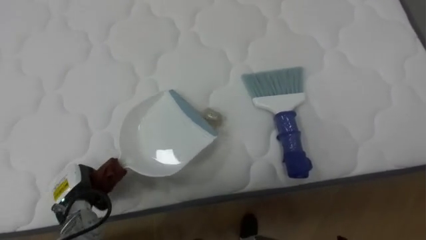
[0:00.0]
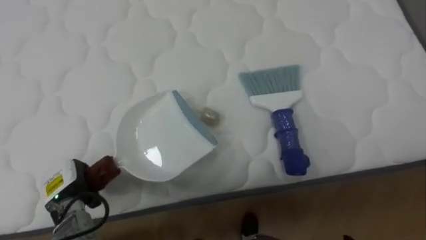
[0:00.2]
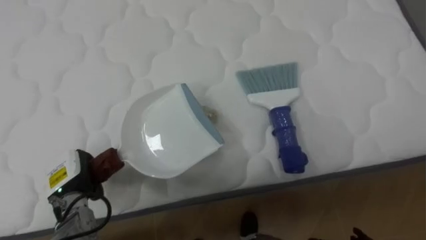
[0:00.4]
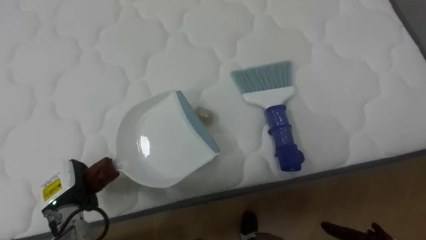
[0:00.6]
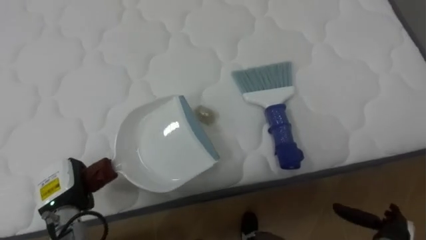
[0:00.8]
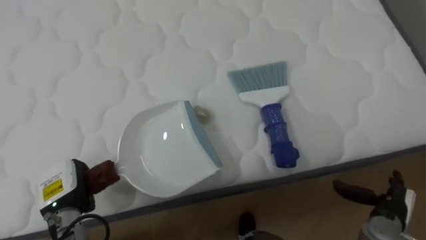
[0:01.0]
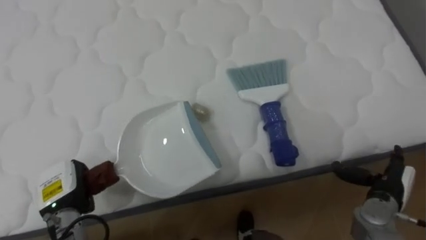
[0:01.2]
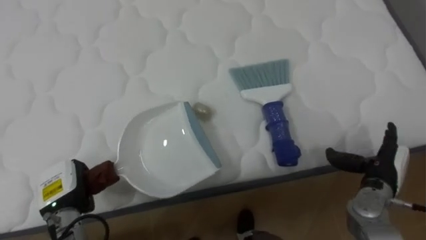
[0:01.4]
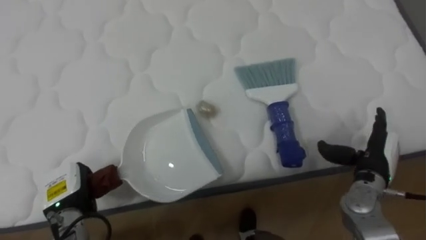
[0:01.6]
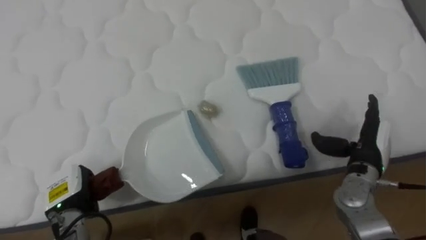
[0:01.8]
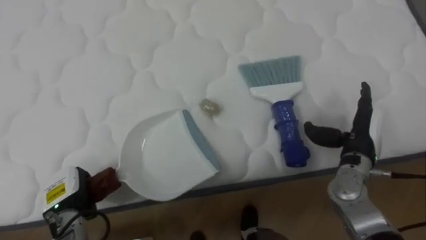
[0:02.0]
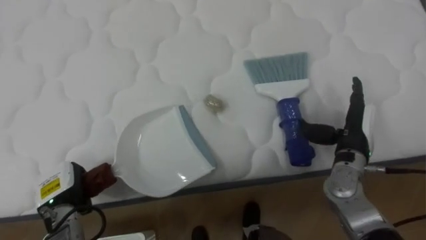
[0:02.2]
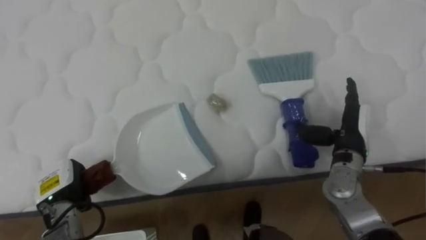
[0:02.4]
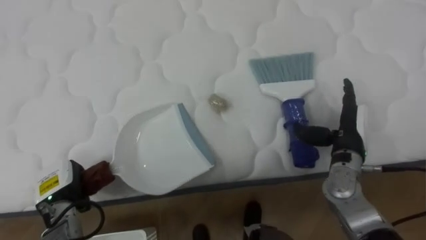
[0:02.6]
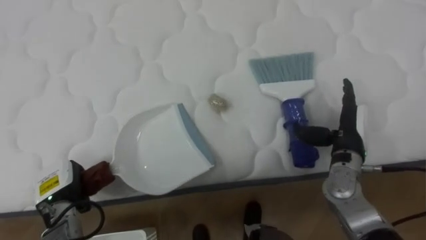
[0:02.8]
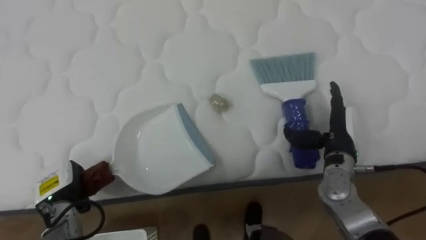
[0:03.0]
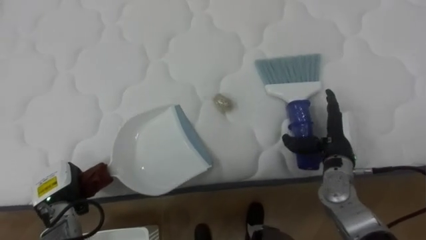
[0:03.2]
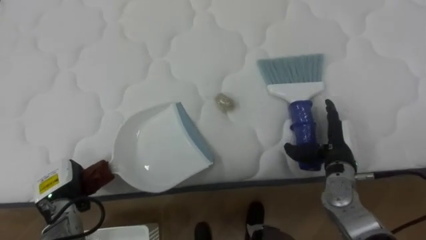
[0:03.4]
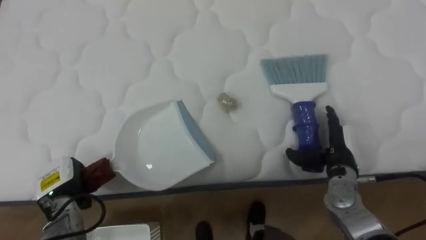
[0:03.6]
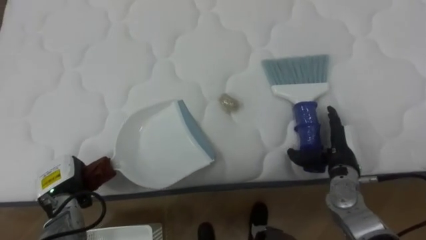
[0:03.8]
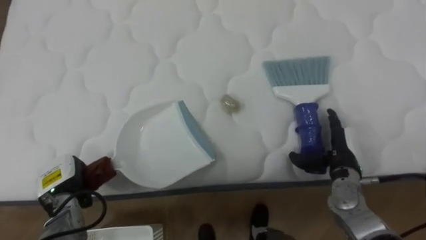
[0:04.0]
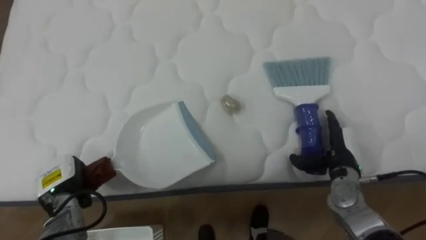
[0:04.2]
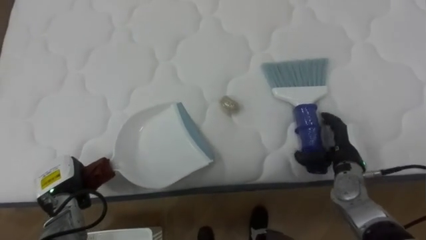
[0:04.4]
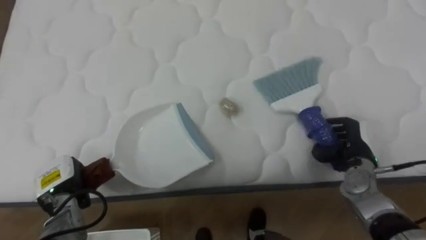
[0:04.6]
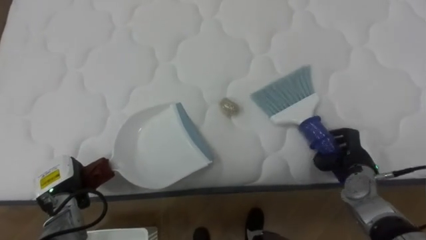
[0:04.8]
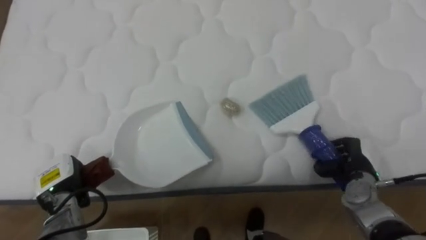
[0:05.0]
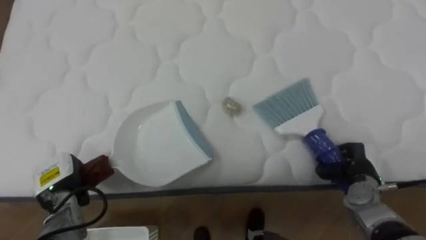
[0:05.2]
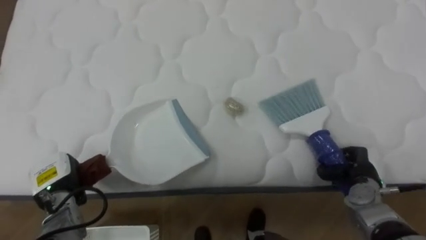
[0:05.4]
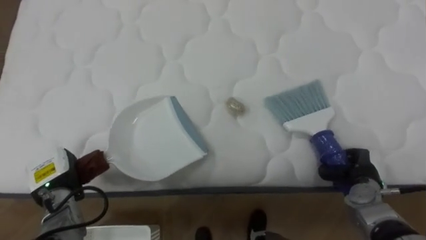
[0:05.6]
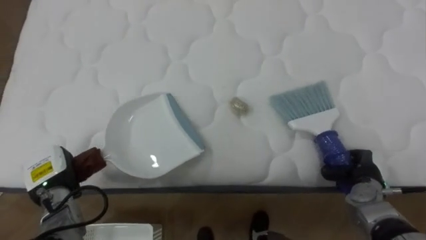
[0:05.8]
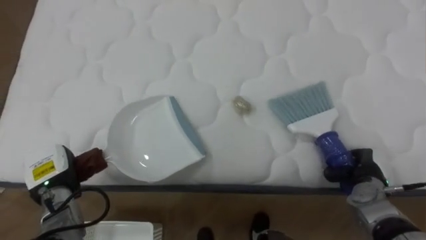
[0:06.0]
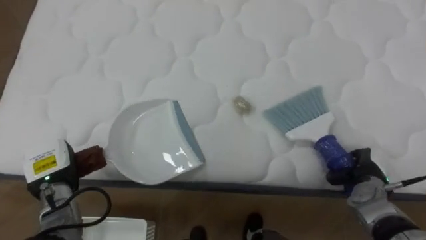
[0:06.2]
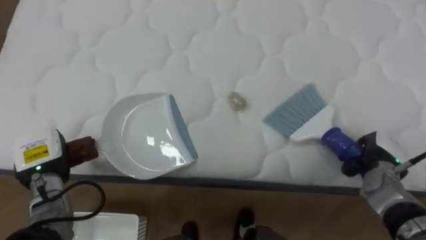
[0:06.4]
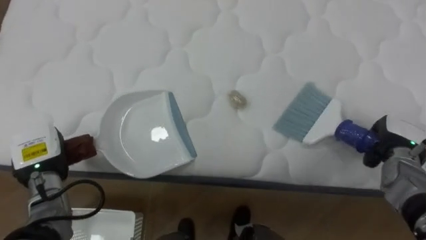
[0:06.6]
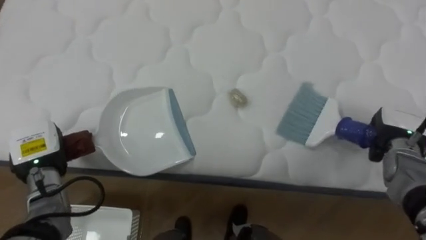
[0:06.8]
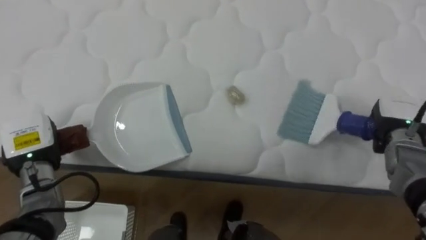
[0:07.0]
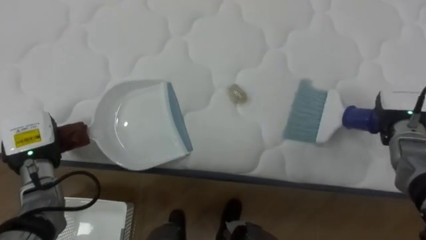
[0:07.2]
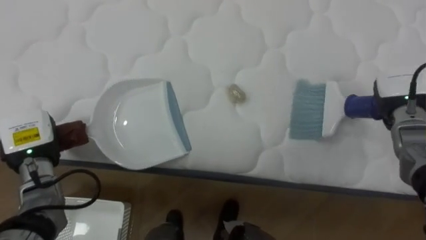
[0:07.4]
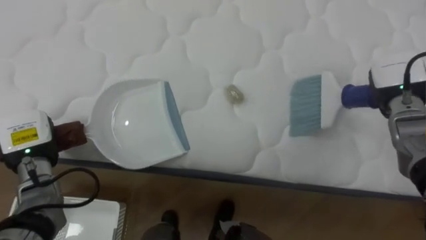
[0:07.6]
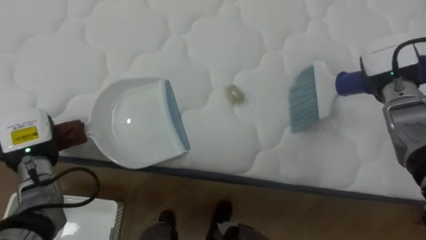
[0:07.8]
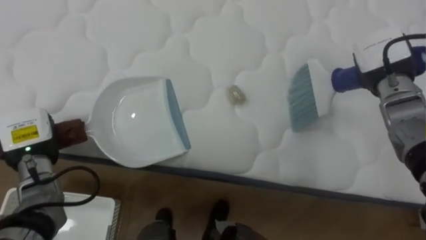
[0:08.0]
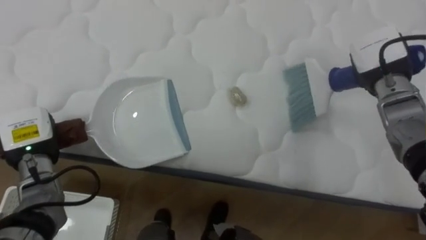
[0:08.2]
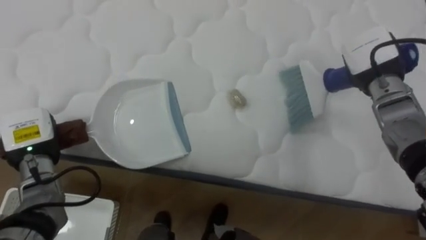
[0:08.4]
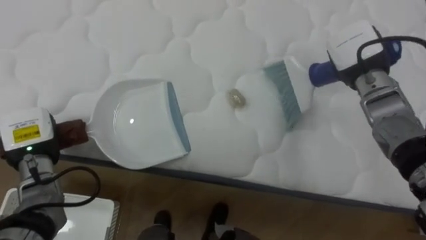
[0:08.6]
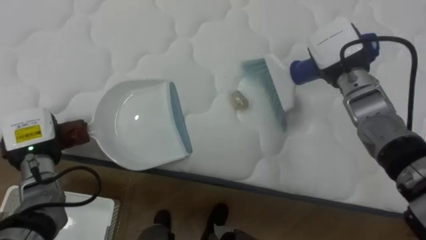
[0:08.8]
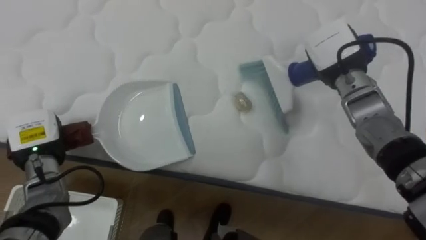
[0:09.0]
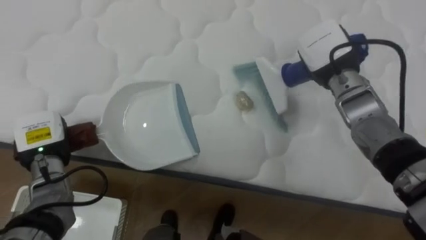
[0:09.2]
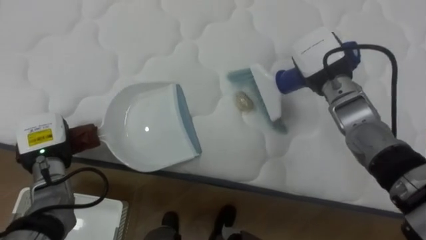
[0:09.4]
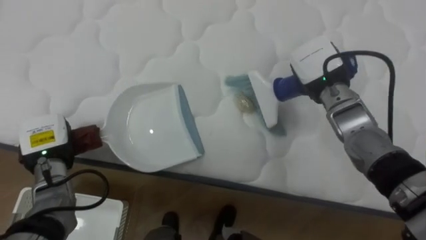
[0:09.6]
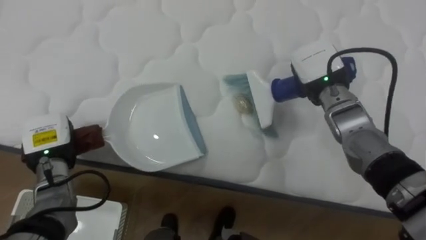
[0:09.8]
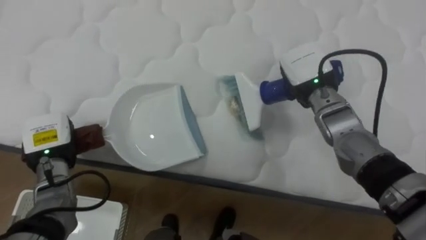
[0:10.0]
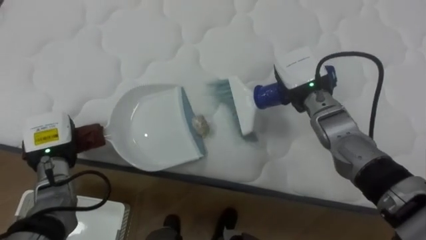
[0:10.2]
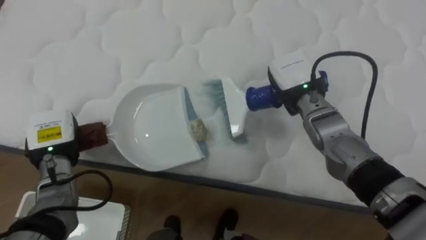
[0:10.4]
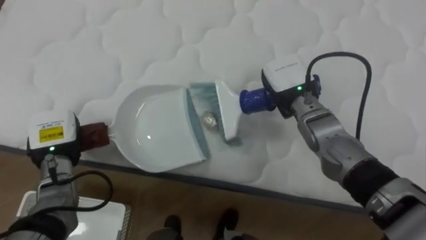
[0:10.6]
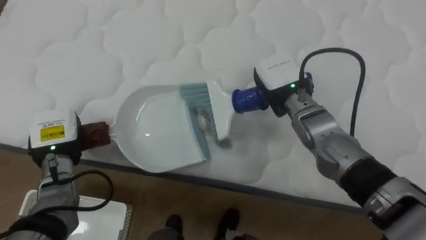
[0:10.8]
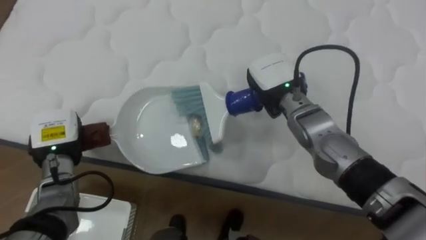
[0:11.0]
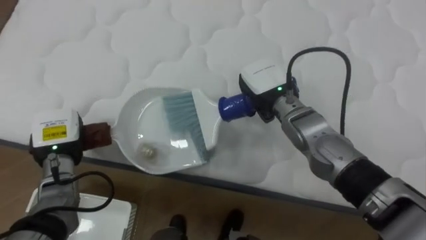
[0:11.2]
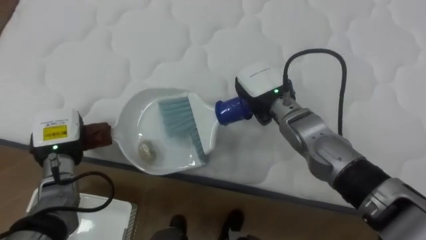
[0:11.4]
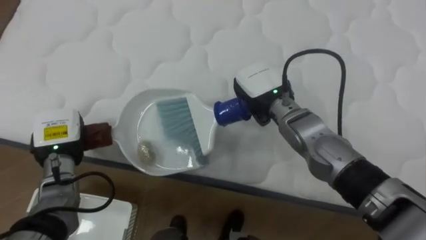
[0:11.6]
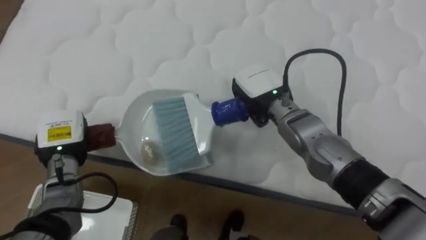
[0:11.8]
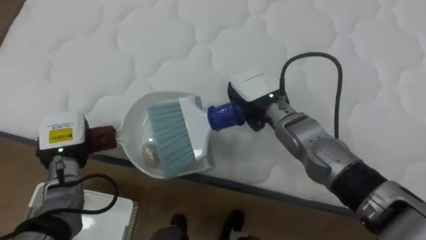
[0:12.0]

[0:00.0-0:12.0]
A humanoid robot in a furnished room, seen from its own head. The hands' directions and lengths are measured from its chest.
Task of the whole recording: Pick up the brush on your right and the dustpan on your left. Use the brush to sweep the crumpled paper on the bed into the dustpan, then turn left and empty it into the basket.
0:01.6 to 0:03.0: The right hand heads to the left, covering roughly 5 cm.
0:03.0 to 0:04.4: The right hand travels downward by roughly 5 cm.
0:04.4 to 0:06.0: The right hand moves to the right, about 5 cm, and closes.
0:06.0 to 0:07.6: The right hand goes some 20 cm upward and forward. Meanwhile the left hand heads upward, covering roughly 5 cm.
0:07.6 to 0:09.0: The right hand shifts approximately 10 cm to the left.
0:09.0 to 0:10.4: The right hand is displaced to the left by some 5 cm.
0:10.4 to 0:12.0: The right hand travels to the left by roughly 5 cm.

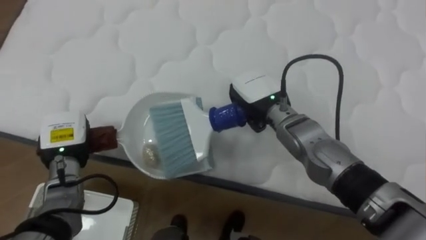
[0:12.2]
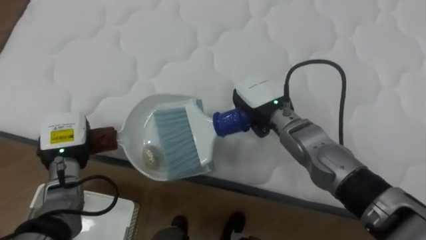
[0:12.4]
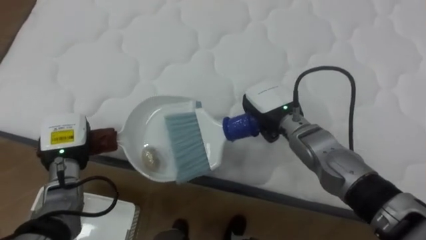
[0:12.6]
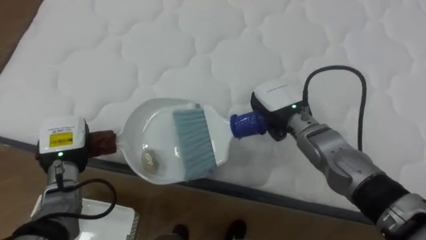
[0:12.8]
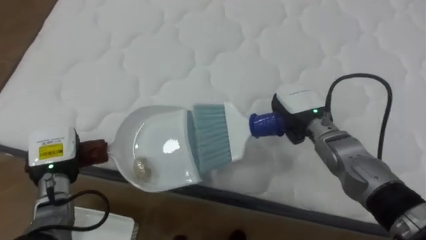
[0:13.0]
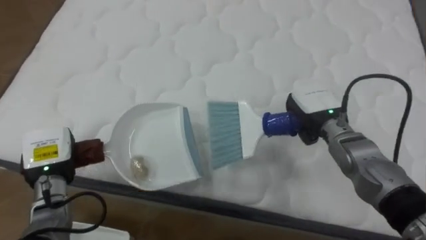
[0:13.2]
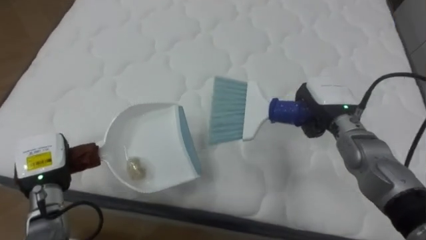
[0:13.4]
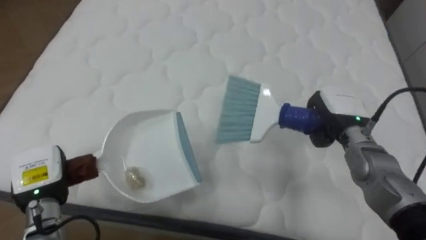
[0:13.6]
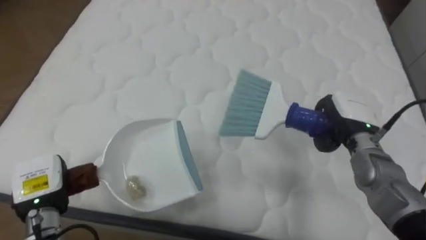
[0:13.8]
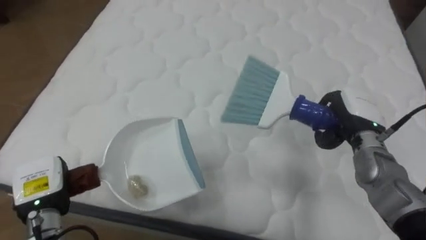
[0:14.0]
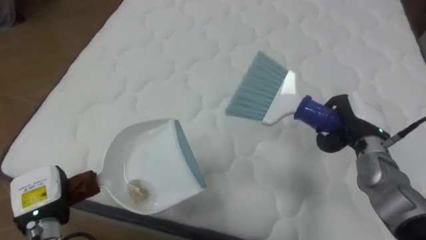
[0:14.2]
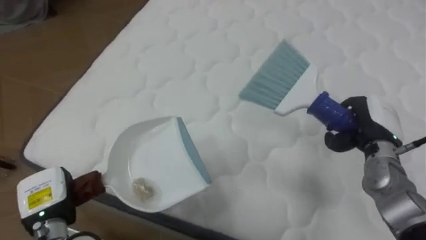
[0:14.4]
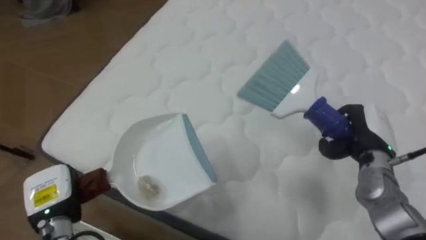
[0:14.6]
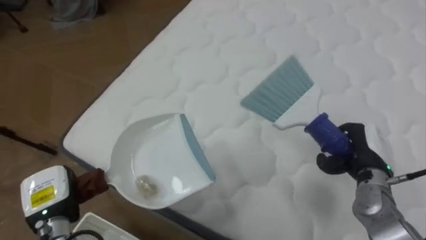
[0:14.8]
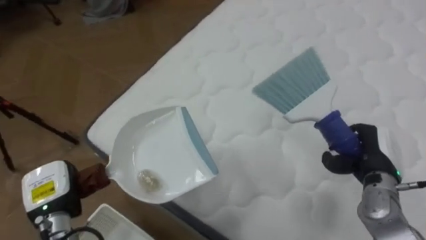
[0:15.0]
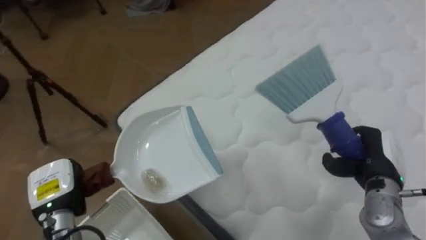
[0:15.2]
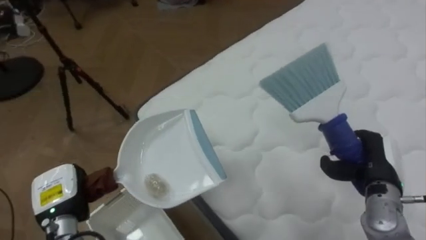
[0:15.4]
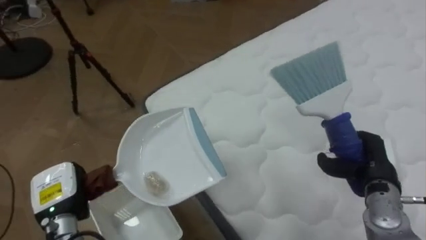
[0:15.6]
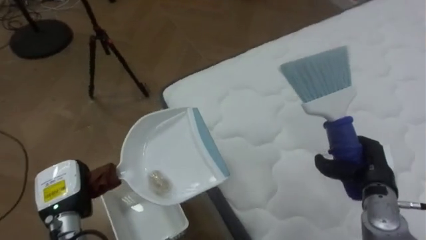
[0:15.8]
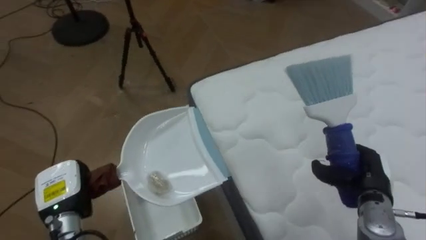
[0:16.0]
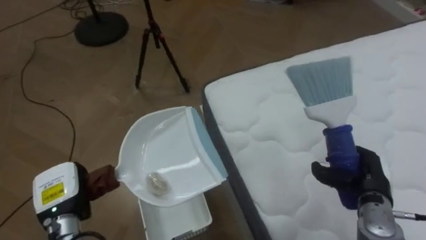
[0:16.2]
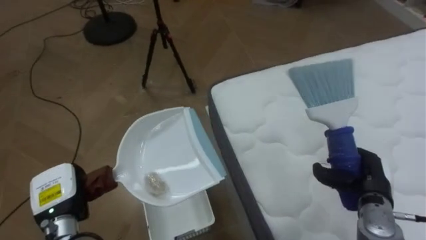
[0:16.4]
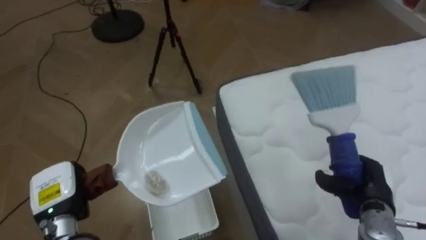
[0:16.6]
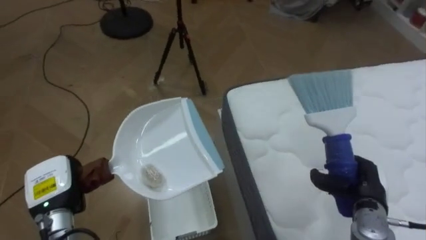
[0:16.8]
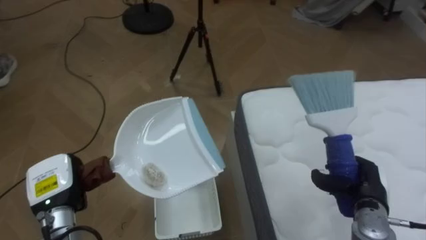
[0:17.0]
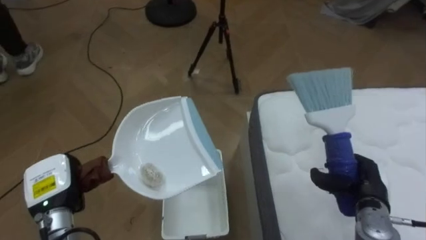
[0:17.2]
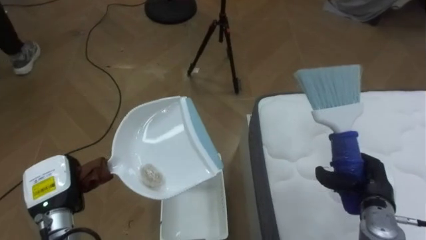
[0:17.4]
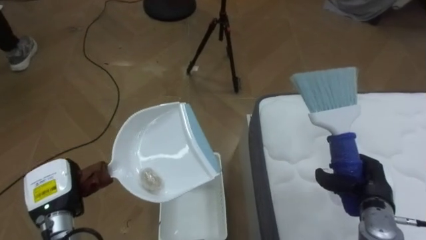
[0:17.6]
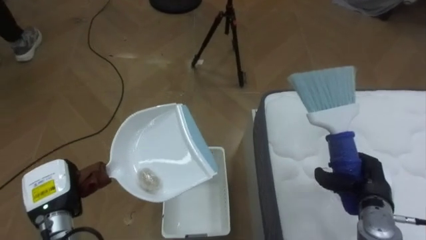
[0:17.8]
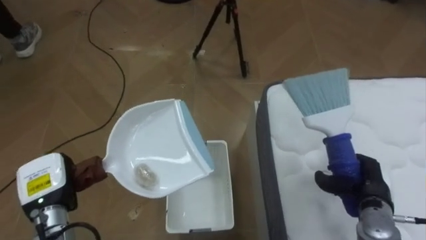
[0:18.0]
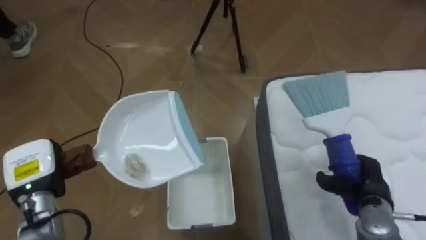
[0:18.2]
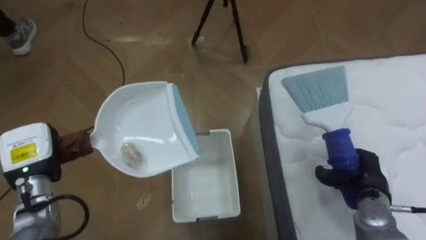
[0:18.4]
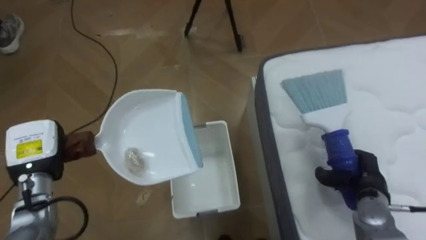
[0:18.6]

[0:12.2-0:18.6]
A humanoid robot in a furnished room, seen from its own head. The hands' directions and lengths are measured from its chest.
Task of the whole recording: Pick up the brush on your right and the dustpan on your left. Use the brush to sweep the crumpled paper on the bed into the dustpan, then turn left and empty it into the basket.
0:12.2 to 0:13.8: The right hand is displaced to the right by approximately 20 cm; the left hand shifts approximately 10 cm backward.
0:13.8 to 0:15.4: The robot turns to its left by about 45 degrees. The right hand shifts about 10 cm backward.
0:15.4 to 0:17.0: The robot turns to its left by roughly 35 degrees. The right hand is displaced downward by approximately 5 cm.
0:17.0 to 0:18.6: The left hand shifts by approximately 5 cm.
